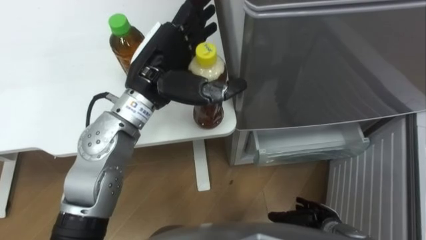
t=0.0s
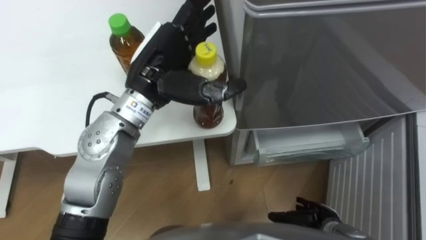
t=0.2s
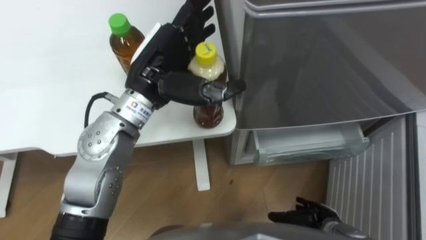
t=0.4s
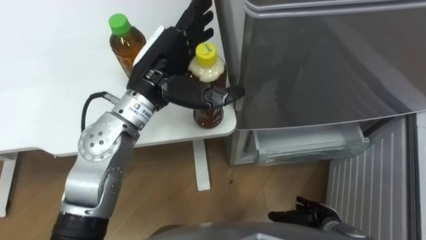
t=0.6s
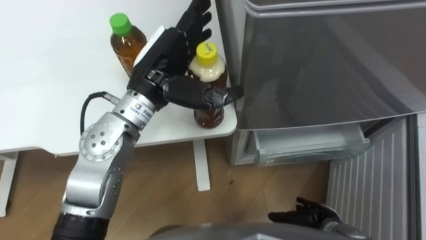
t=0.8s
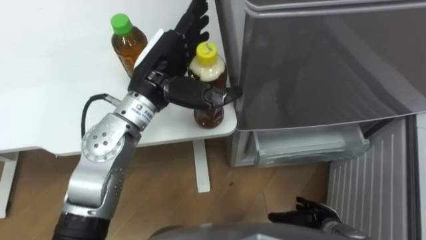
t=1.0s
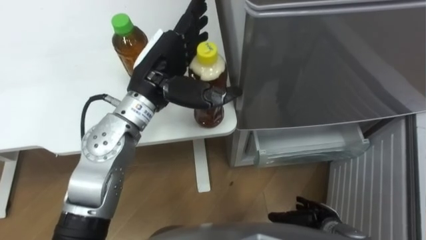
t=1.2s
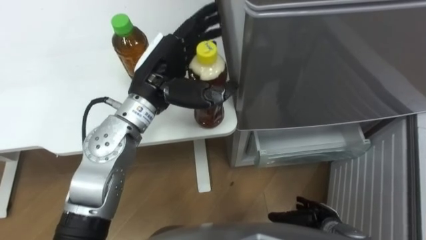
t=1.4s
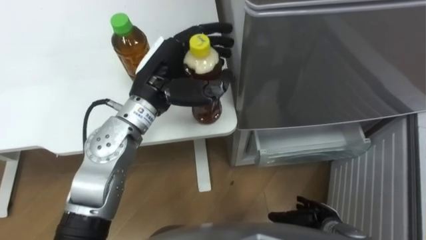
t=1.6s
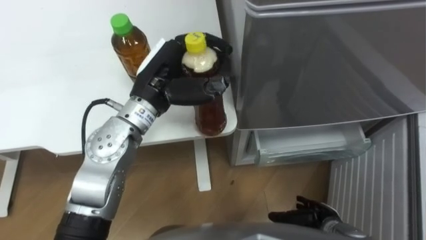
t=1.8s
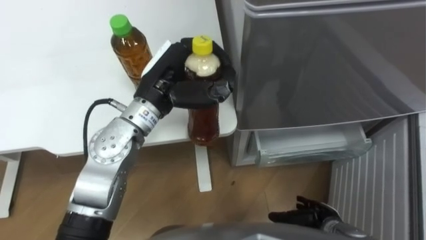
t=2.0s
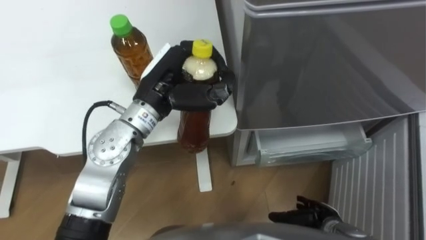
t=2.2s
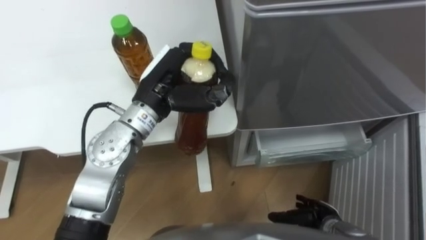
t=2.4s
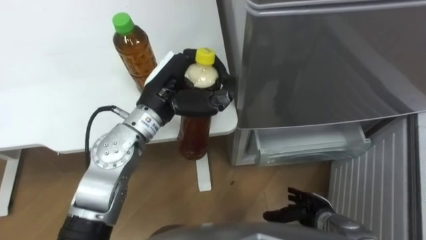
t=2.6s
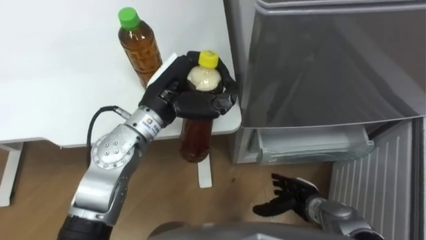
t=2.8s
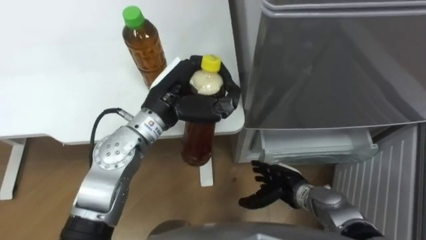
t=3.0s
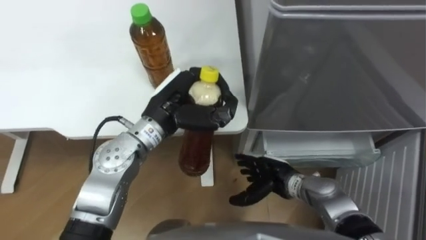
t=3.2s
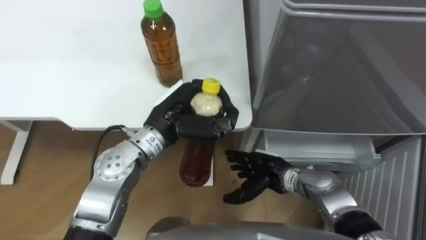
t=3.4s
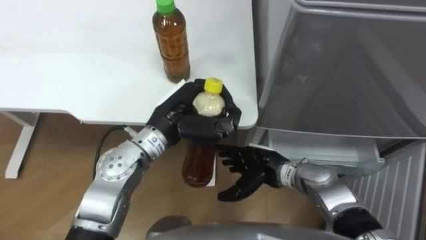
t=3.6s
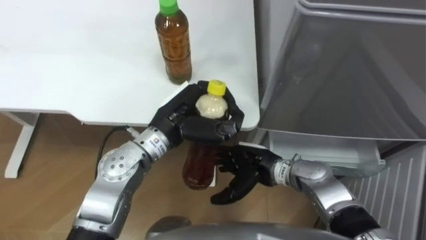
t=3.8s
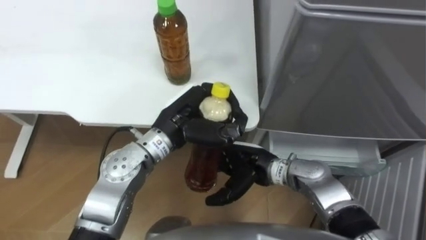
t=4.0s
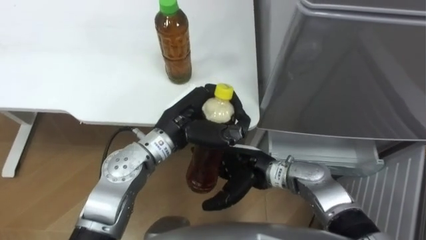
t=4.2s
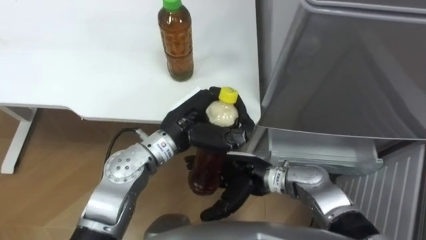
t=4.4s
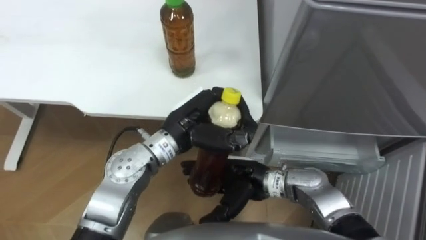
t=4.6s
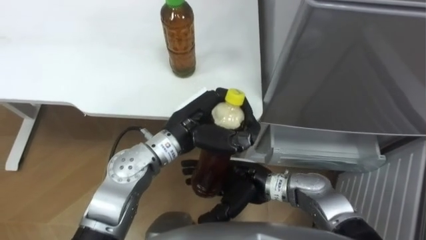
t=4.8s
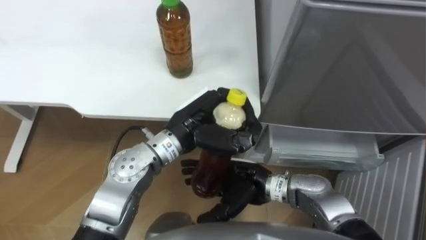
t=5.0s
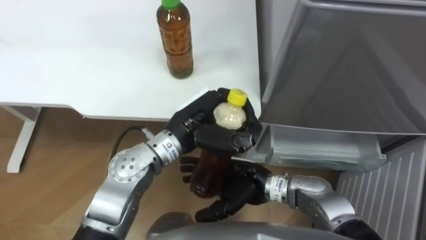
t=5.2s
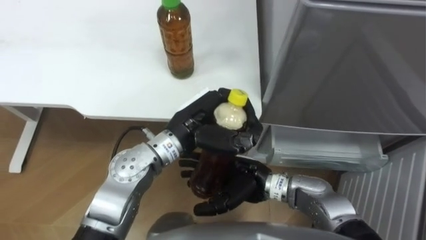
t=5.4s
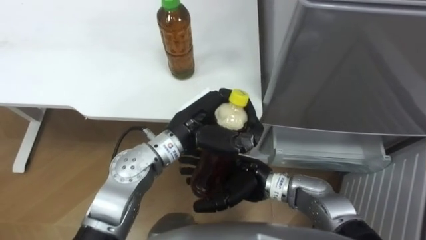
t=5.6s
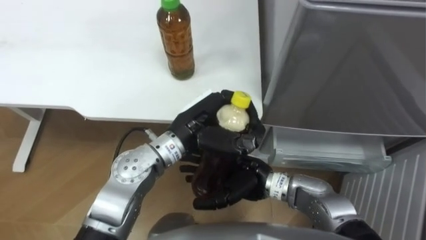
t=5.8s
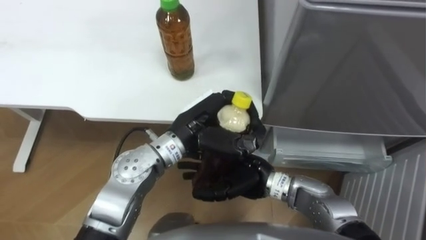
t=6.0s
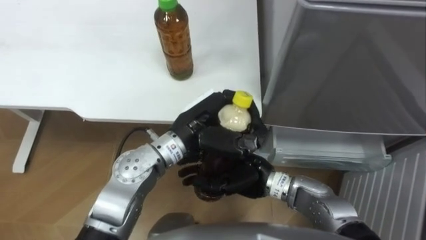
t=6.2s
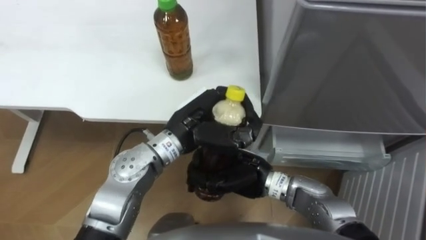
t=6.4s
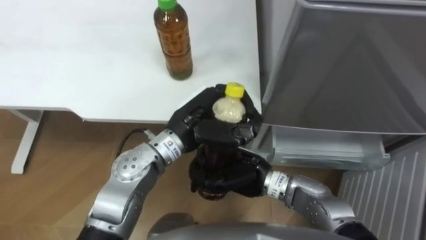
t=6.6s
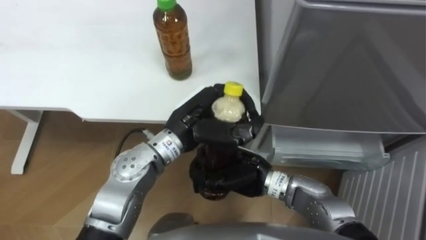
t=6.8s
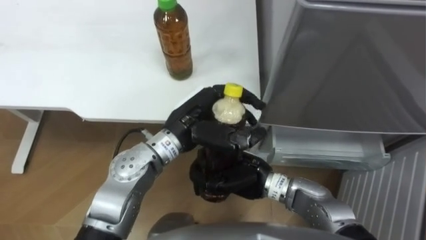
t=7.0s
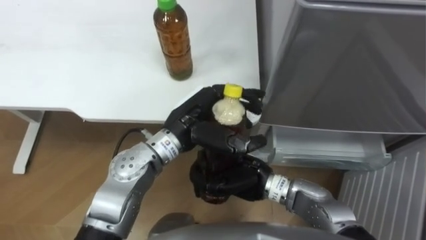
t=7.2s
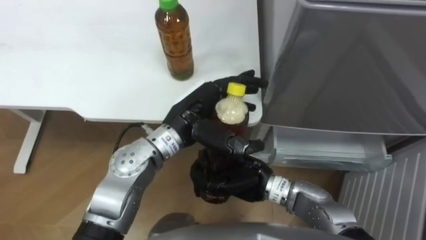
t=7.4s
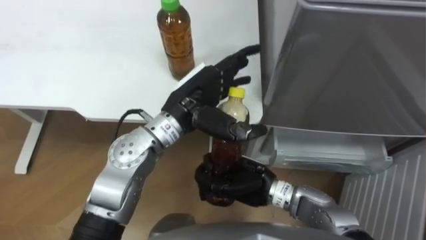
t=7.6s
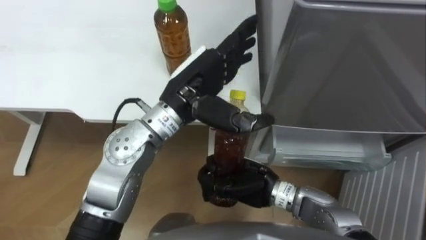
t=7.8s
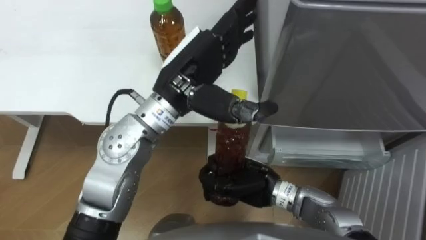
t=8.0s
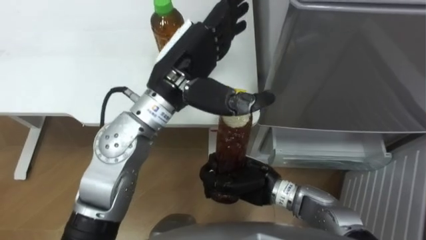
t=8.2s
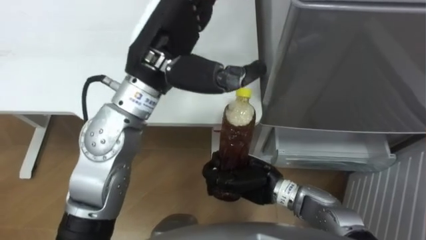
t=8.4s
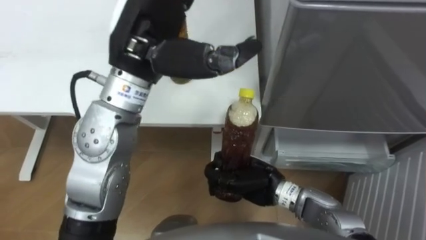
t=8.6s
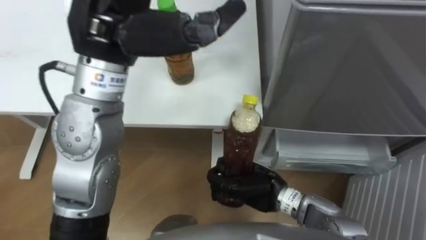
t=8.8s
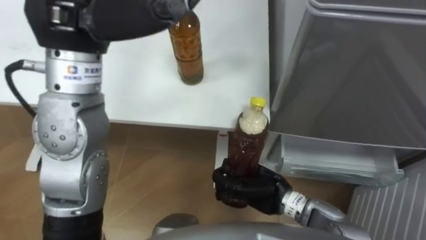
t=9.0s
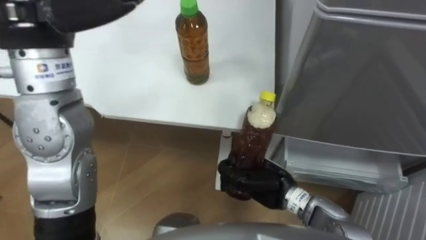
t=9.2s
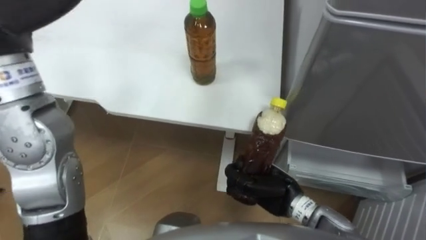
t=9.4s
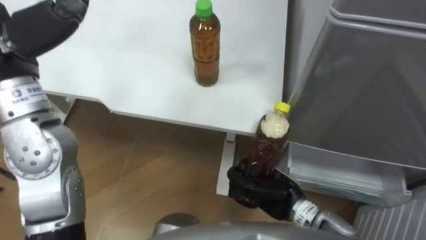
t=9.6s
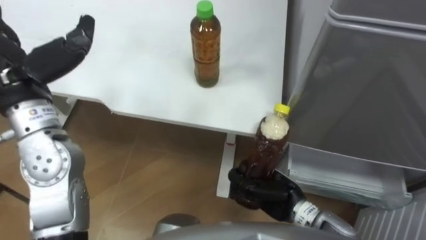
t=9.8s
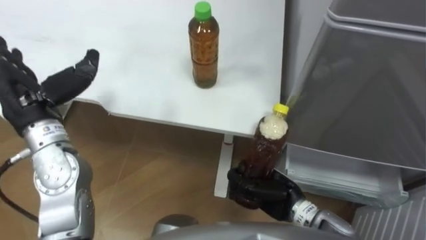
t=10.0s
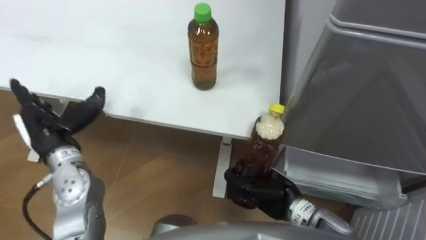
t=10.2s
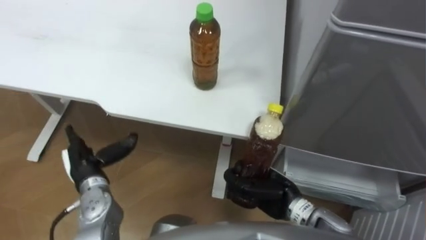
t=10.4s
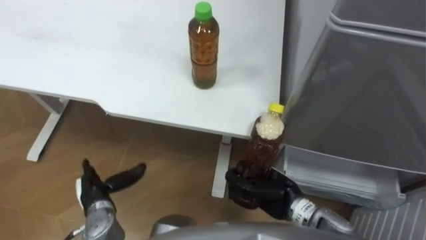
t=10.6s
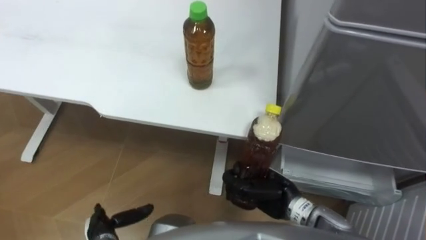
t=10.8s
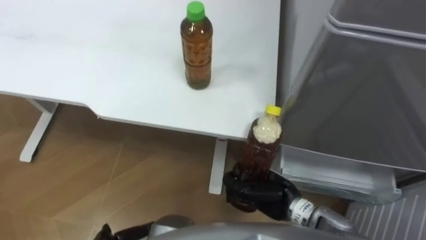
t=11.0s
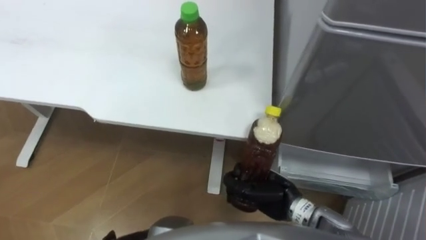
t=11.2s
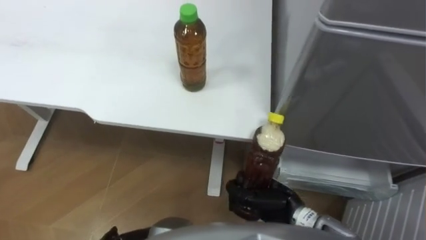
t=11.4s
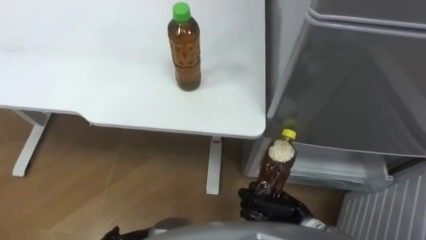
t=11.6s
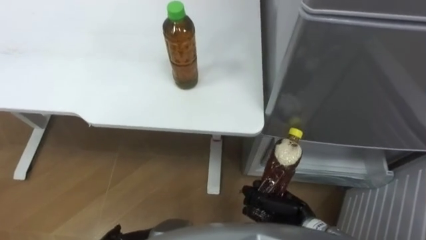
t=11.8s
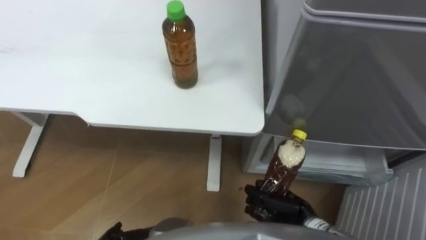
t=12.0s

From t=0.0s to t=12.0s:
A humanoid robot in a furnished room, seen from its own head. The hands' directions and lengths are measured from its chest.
Task of the whole recording: Place the drink on the table on the bottom shelf of the refrigerator, then close the drawer and the refrigerator door.
From t=0.0s to t=1.6s: The left hand closes up.
From t=1.6s to t=3.0s: The right hand shifts about 10 cm forward and to the left; the left hand closes up.
From t=3.0s to t=4.4s: The right hand is displaced to the left and upward by approximately 15 cm; the left hand shifts by roughly 5 cm.
From t=6.0s to t=7.6s: The right hand closes. The left hand opens its fingers.
From t=7.6s to t=9.0s: The left hand shifts about 25 cm upward and to the left.
From t=10.4s to t=12.0s: The right hand ends up about 5 cm from where it was.

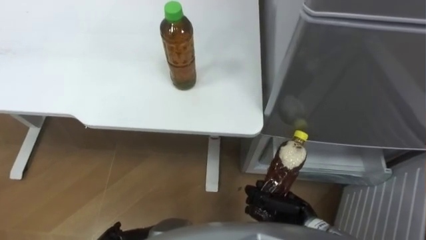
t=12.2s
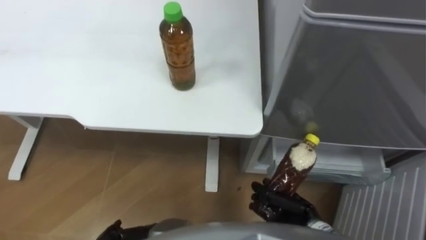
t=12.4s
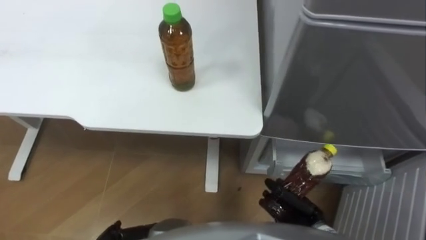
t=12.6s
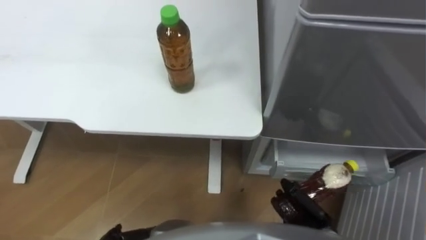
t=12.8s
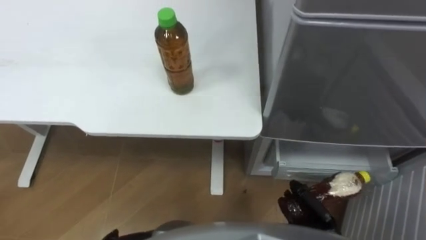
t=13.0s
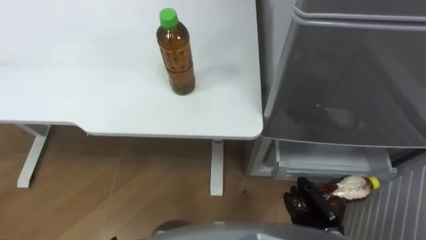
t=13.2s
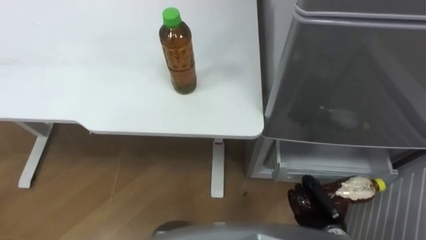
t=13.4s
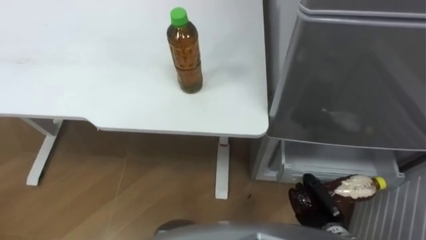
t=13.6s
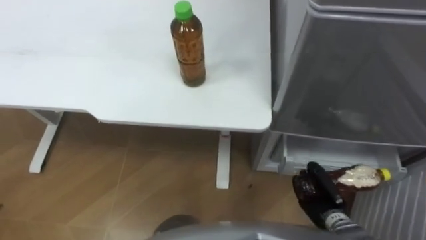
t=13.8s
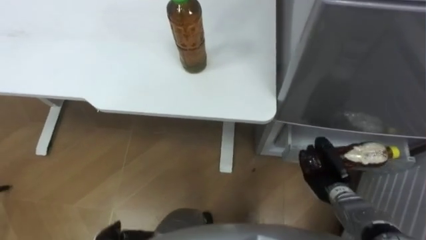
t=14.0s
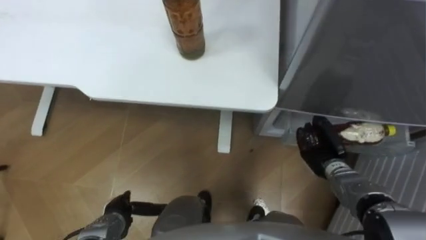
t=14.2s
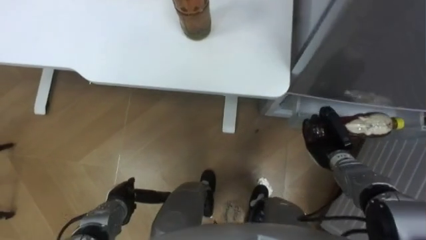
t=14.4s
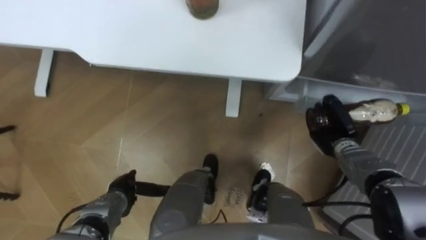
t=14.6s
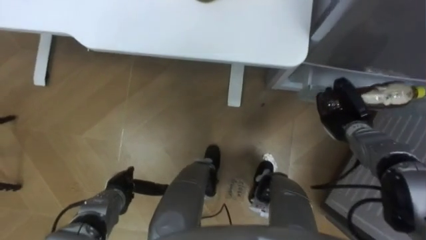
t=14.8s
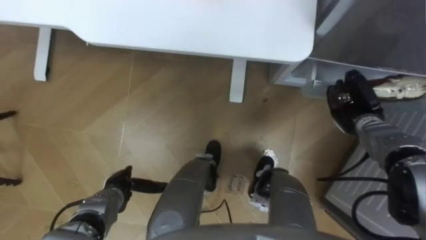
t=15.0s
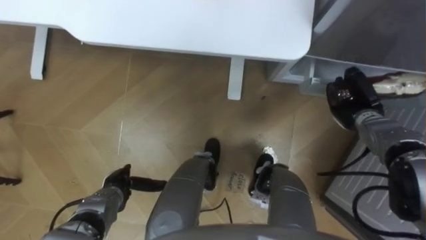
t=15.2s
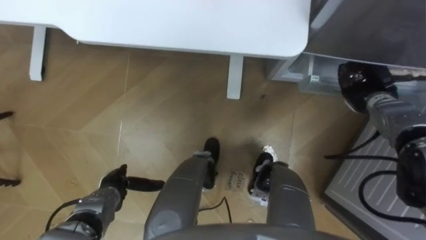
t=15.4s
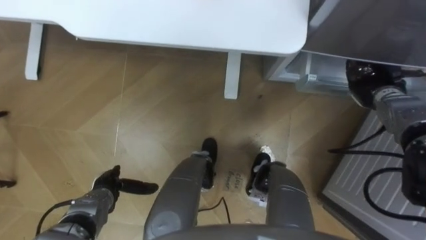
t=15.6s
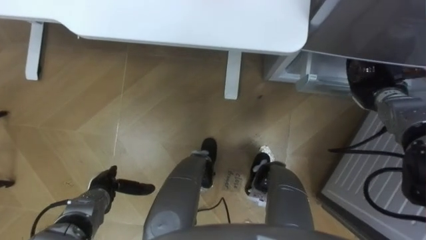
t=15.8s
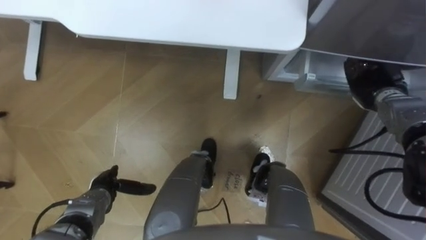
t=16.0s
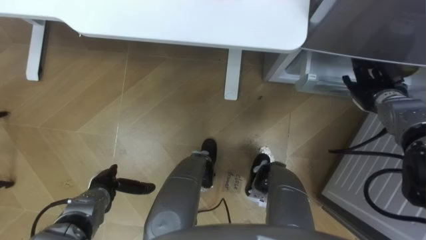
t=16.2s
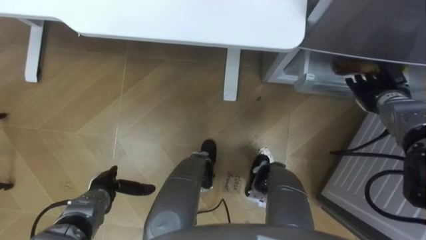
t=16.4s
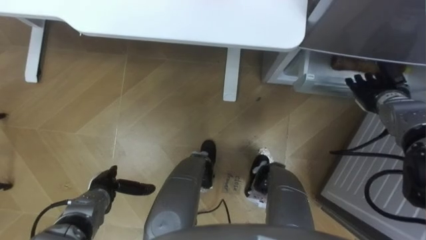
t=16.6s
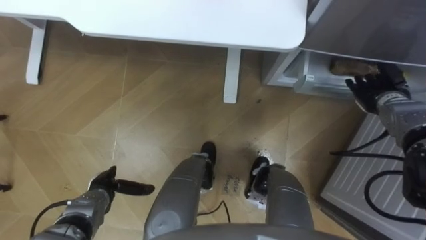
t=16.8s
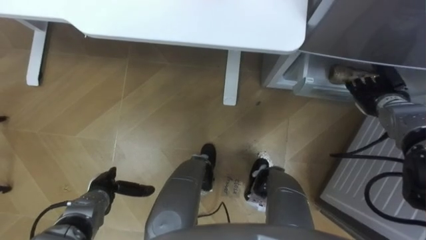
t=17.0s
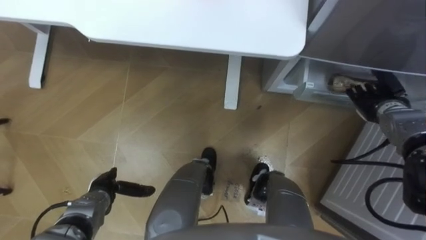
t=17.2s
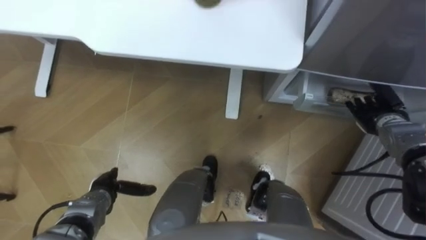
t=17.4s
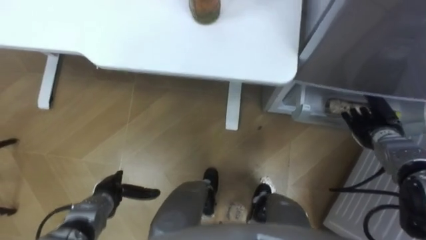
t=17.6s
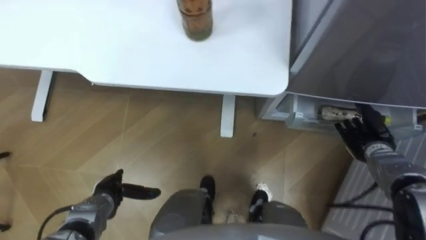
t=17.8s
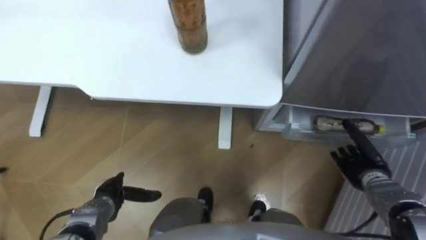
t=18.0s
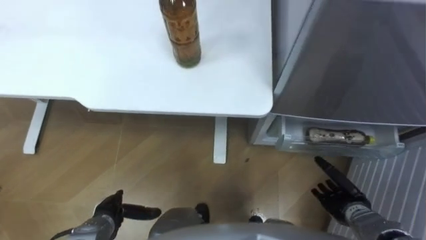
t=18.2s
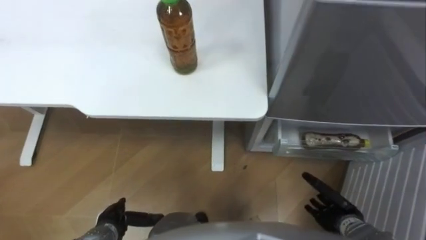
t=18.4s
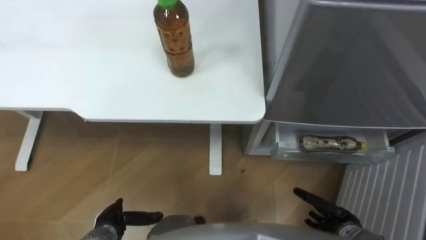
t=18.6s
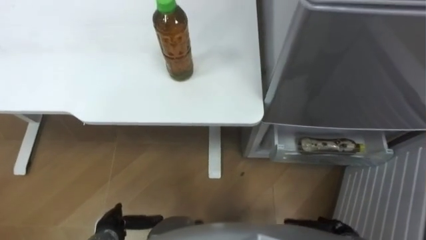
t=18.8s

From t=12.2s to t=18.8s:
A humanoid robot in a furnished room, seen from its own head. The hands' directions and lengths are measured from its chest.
Task of the whole recording: Place the drink on the table on the bottom shelf of the refrigerator, then close the drawer and the refrigerator door.
From t=12.2s to t=13.8s: The right hand is displaced to the right by about 10 cm.
From t=13.8s to t=15.4s: The right hand heads forward and upward, covering approximately 25 cm.
From t=15.4s to t=17.2s: The right hand opens its fingers.
From t=17.2s to t=18.8s: The right hand travels backward and downward by approximately 30 cm; the left hand heads backward, covering roughly 10 cm.
